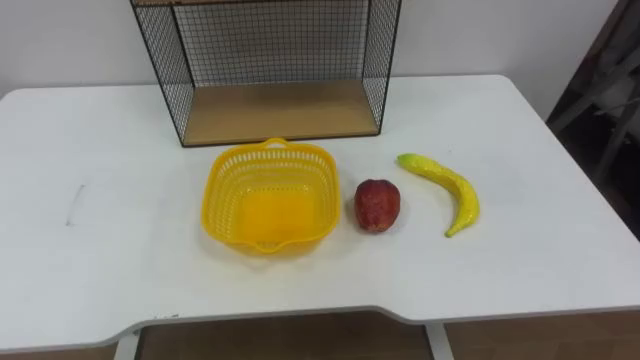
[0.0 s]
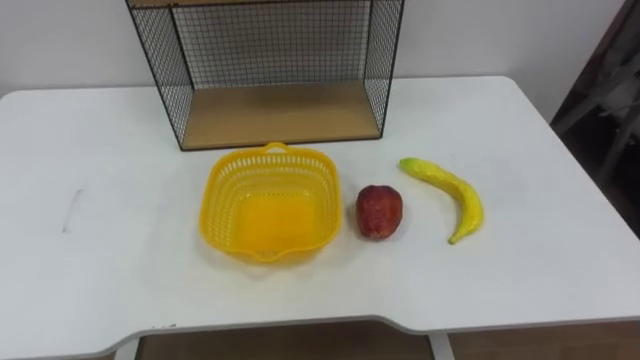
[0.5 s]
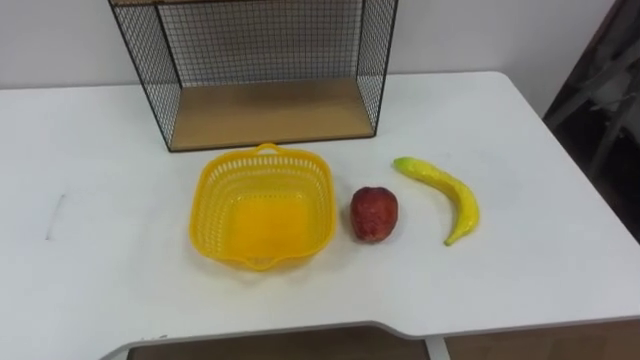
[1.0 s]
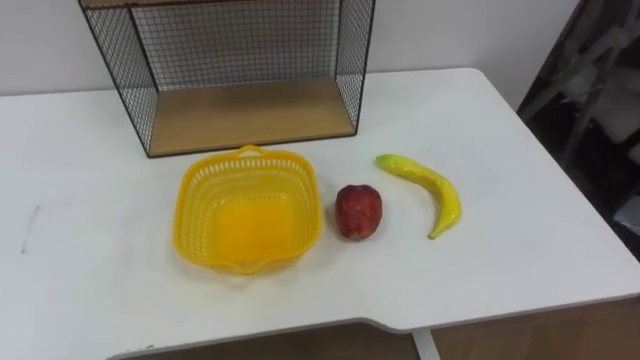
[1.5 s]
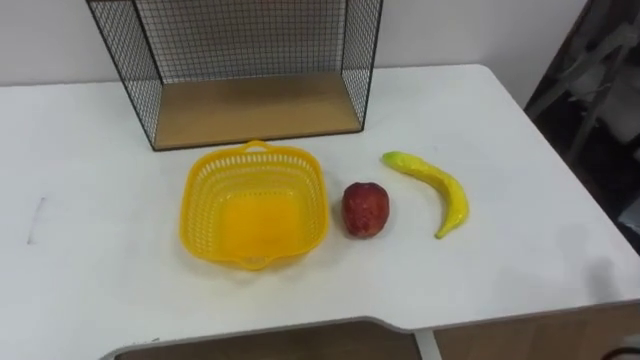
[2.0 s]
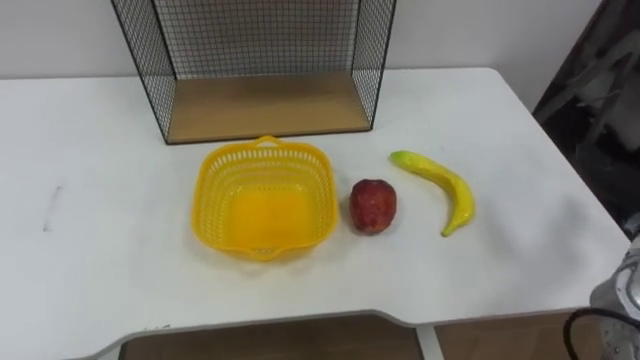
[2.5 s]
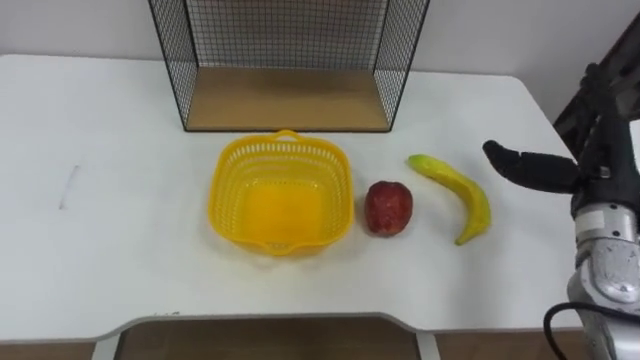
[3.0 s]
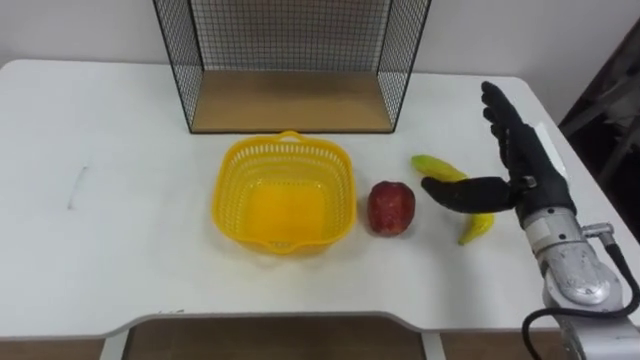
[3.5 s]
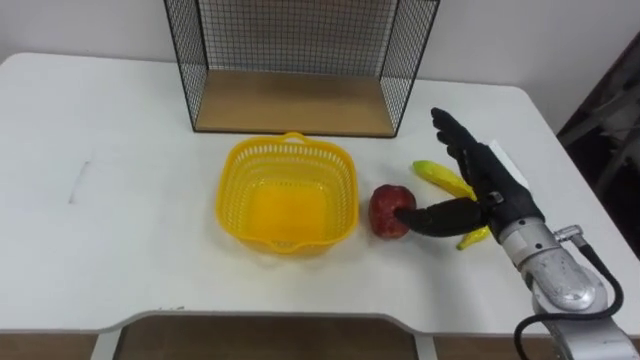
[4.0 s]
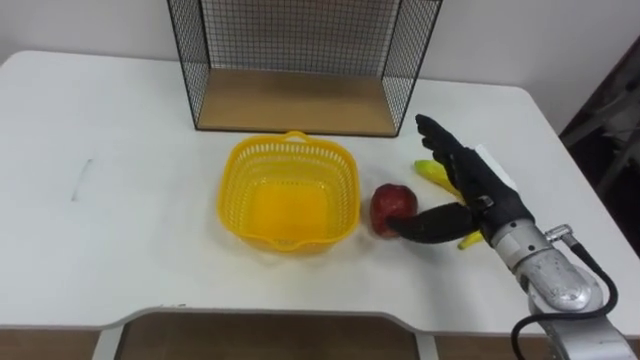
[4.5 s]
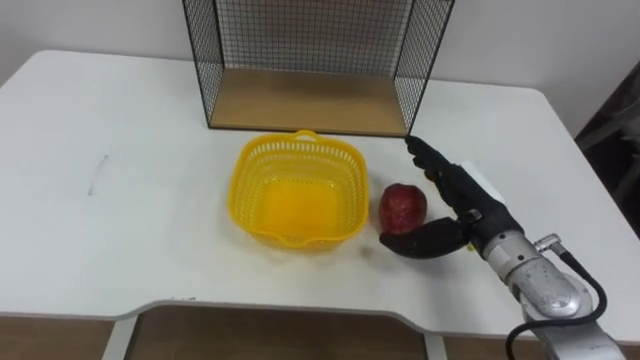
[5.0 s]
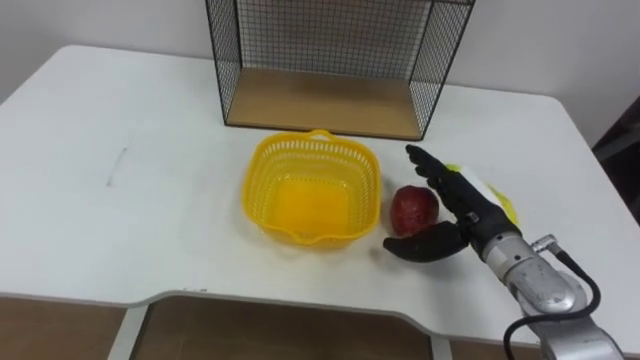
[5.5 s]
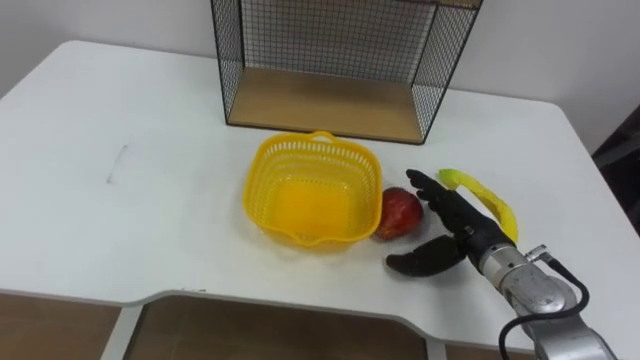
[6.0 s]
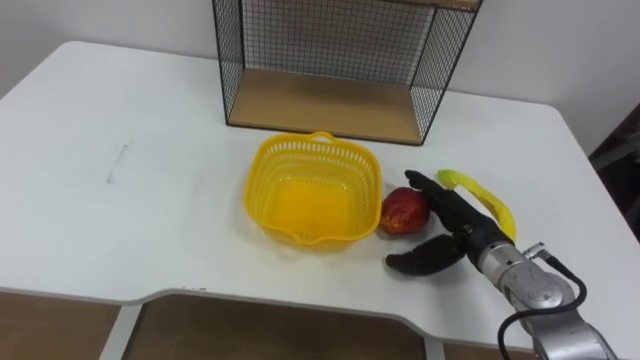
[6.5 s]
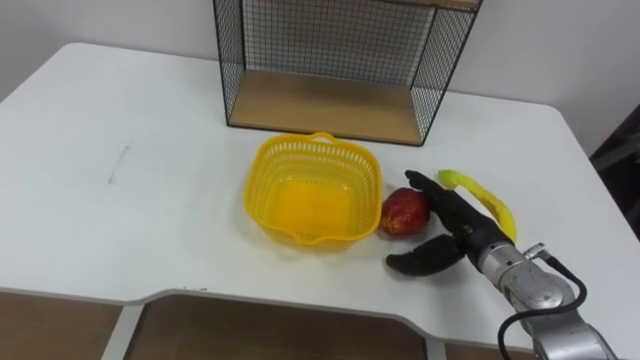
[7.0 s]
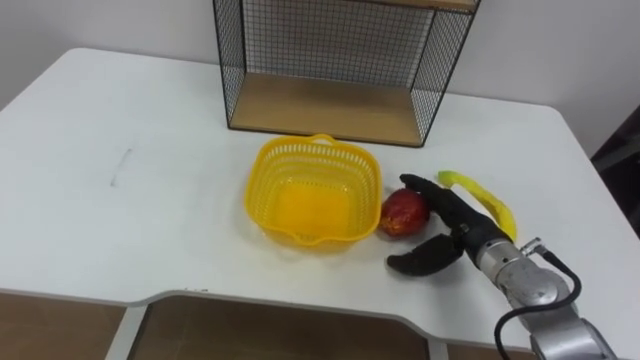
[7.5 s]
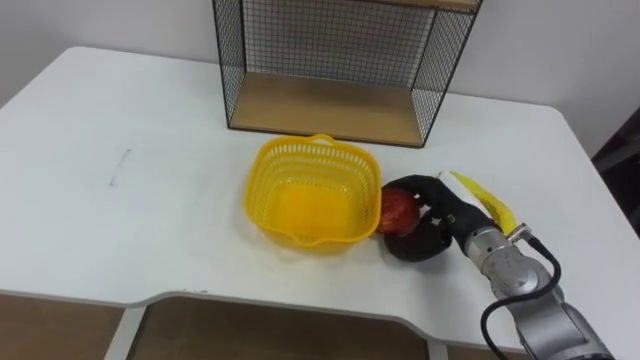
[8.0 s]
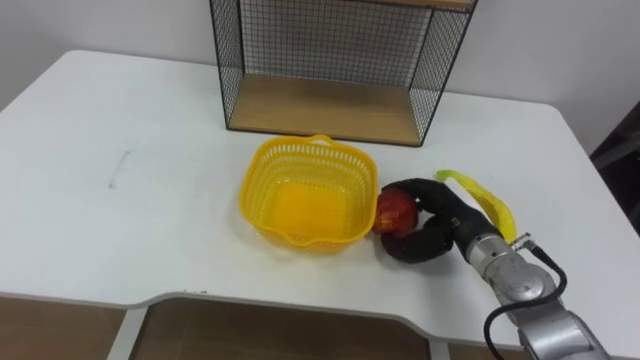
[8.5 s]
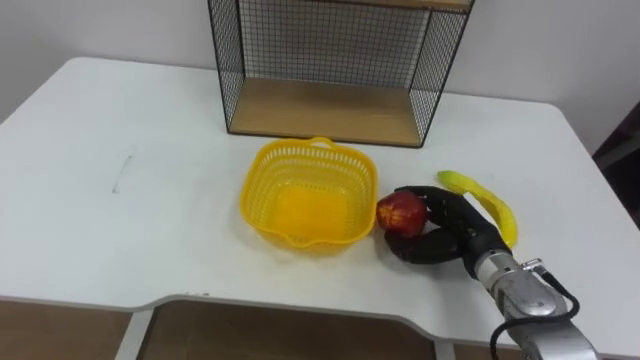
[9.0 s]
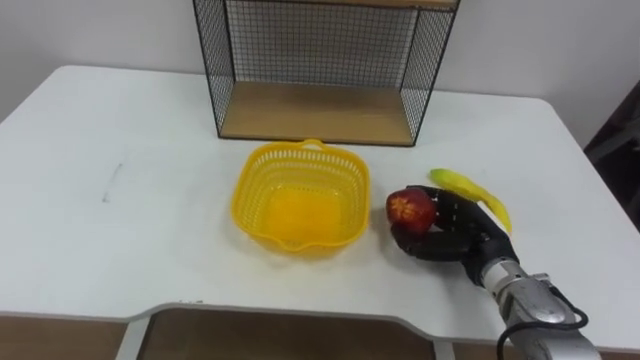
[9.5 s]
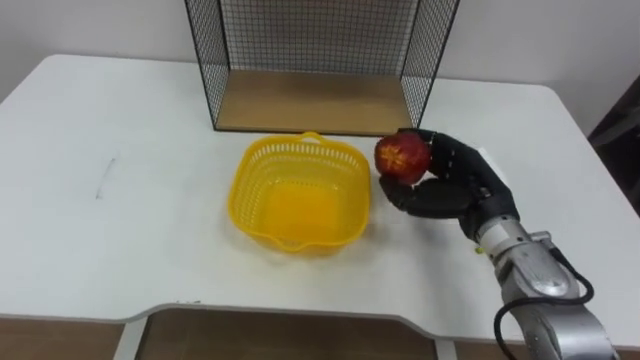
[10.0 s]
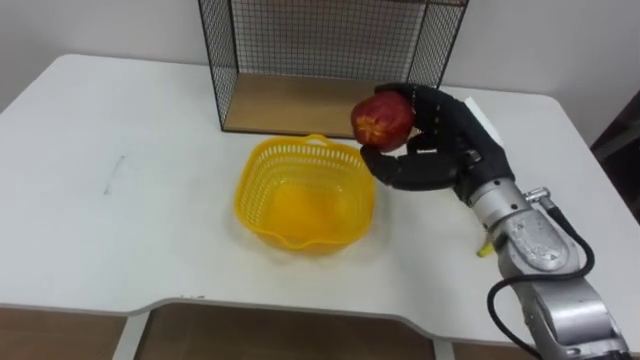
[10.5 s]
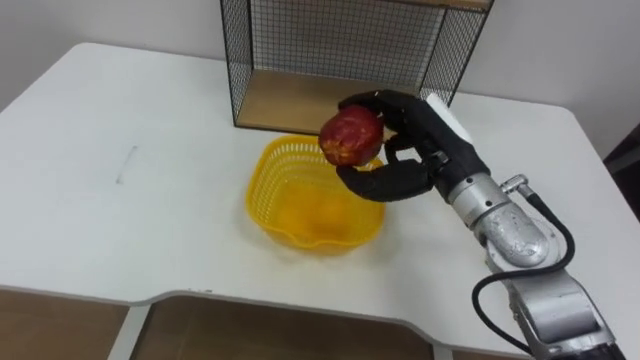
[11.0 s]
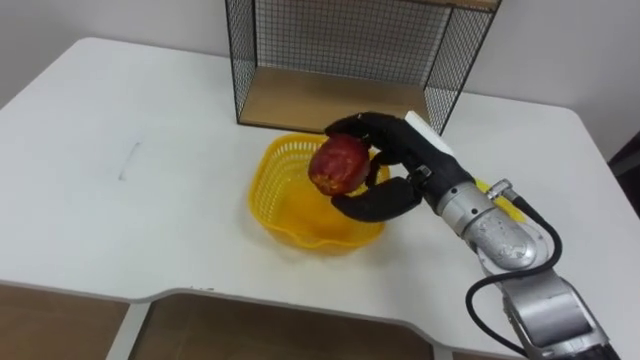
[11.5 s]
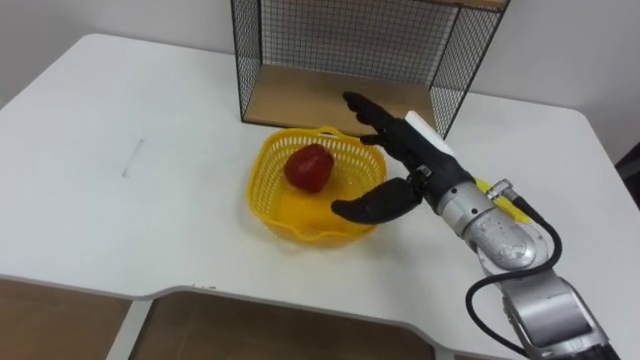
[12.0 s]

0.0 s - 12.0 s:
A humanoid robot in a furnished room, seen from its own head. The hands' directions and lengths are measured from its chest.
Task of the whole recording: Put the fruit on the table into the basket, then place the basket on the shelf.
4.0 s - 6.0 s: The right hand travels downward by about 5 cm.
6.0 s - 8.0 s: The right hand closes.
10.0 s - 12.0 s: The right hand goes about 10 cm to the left and upward, and opens.

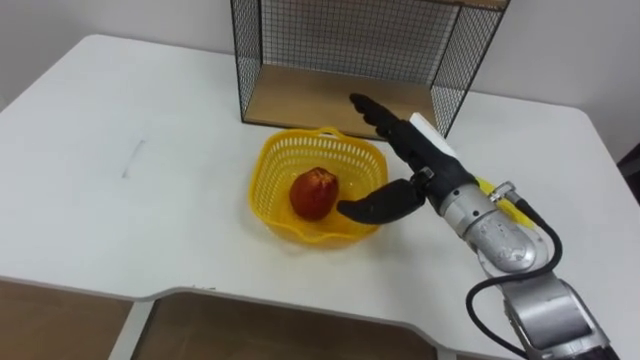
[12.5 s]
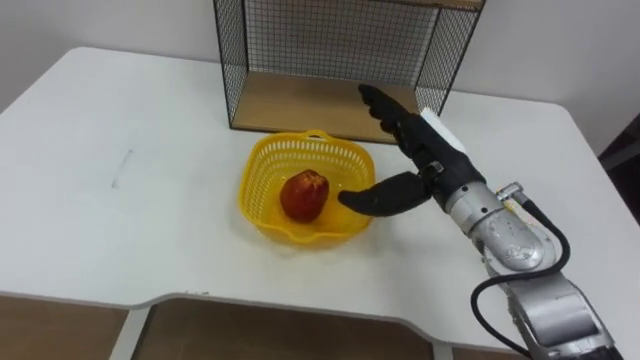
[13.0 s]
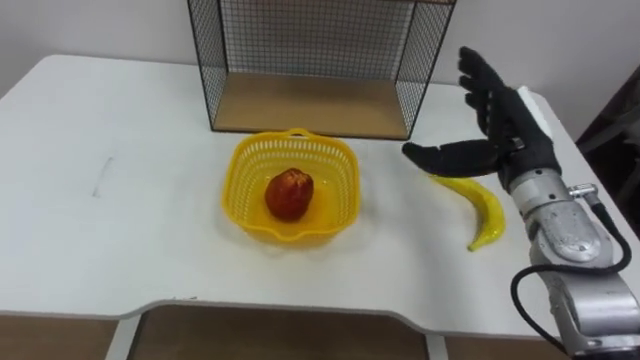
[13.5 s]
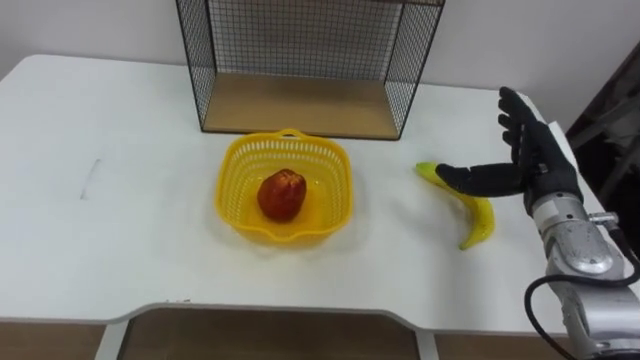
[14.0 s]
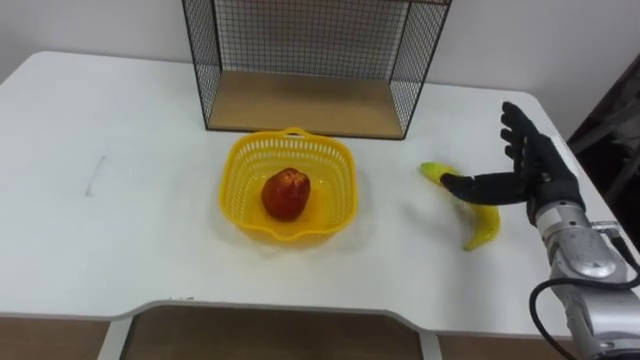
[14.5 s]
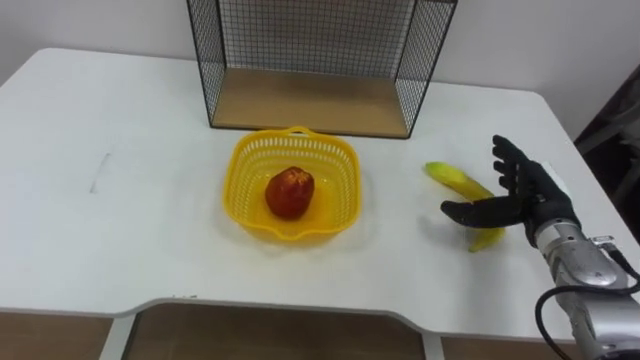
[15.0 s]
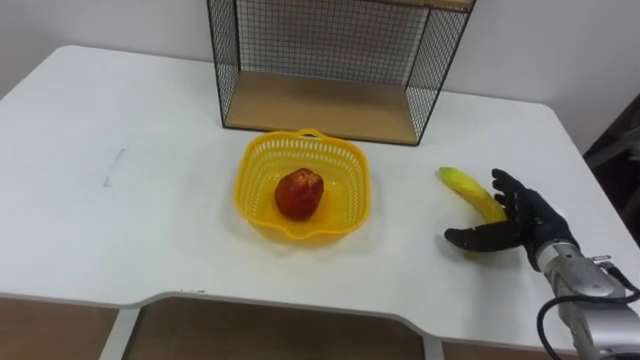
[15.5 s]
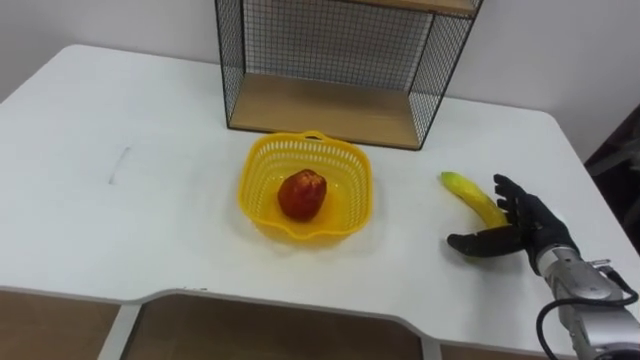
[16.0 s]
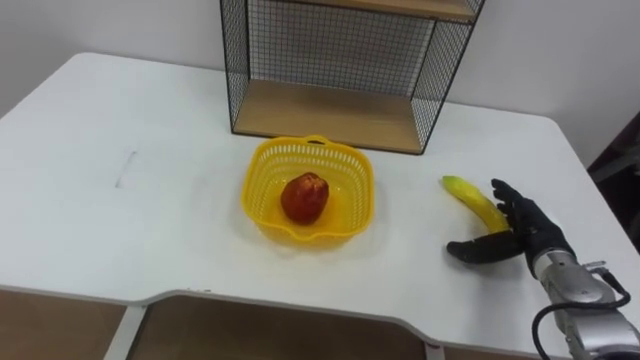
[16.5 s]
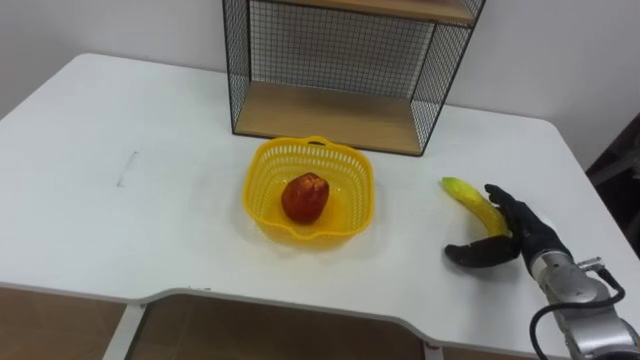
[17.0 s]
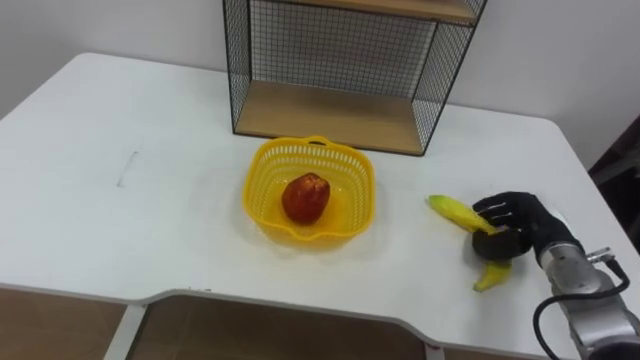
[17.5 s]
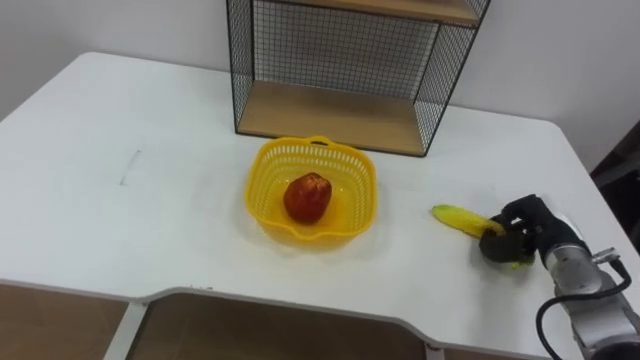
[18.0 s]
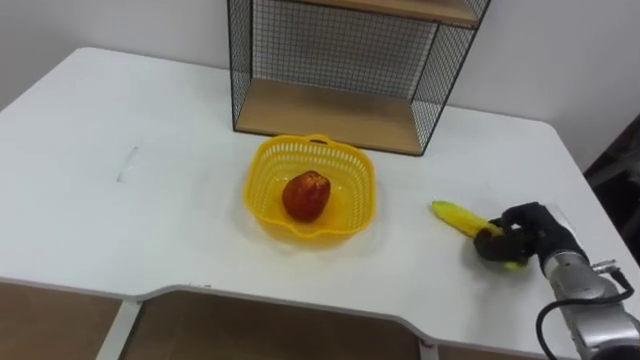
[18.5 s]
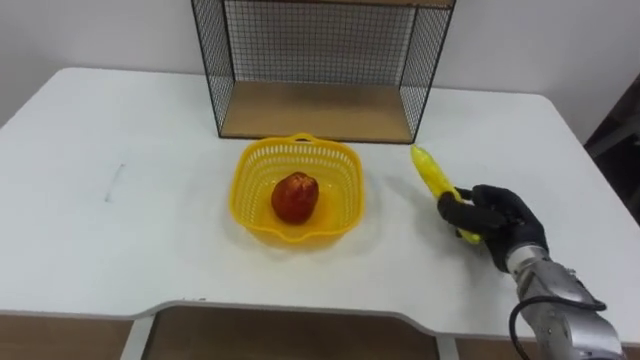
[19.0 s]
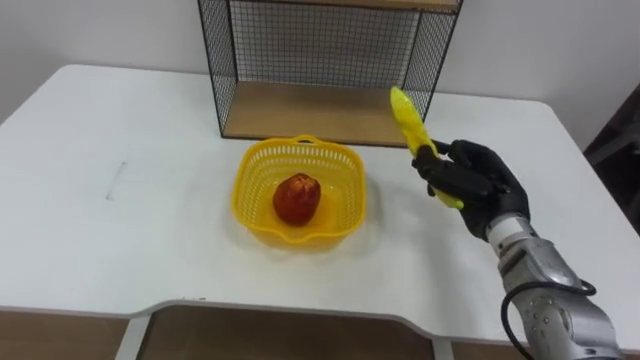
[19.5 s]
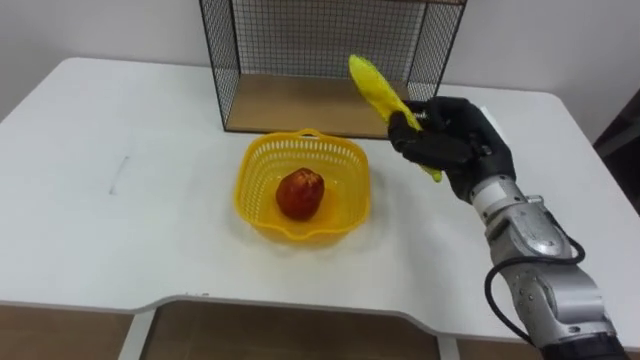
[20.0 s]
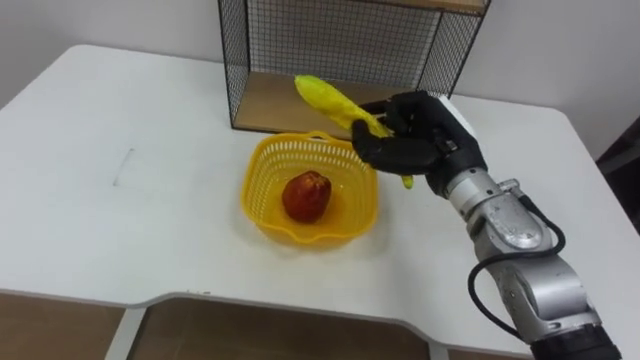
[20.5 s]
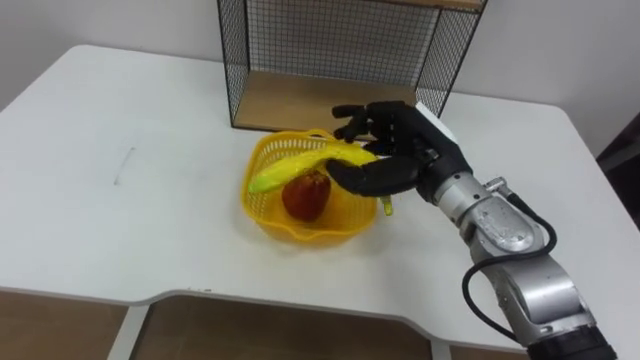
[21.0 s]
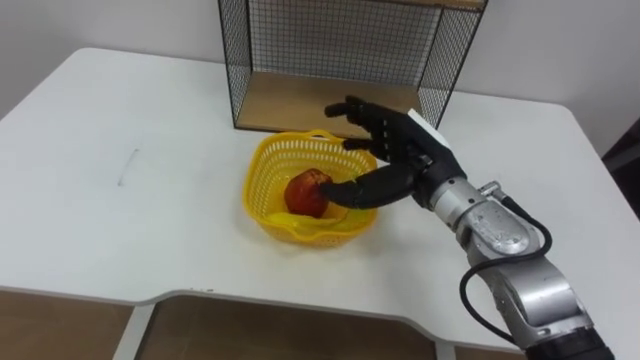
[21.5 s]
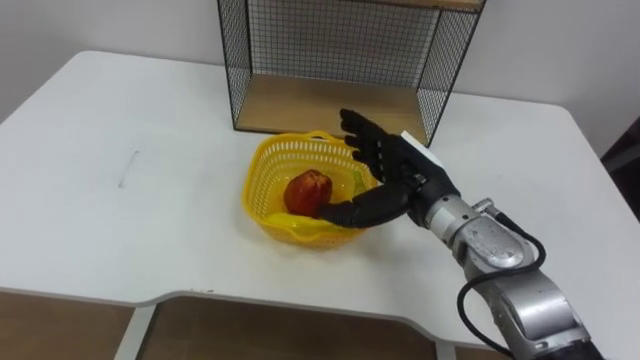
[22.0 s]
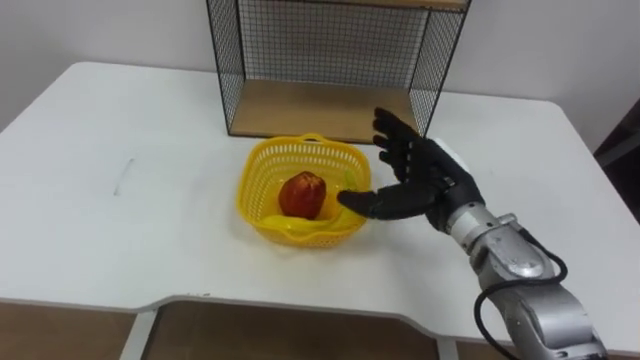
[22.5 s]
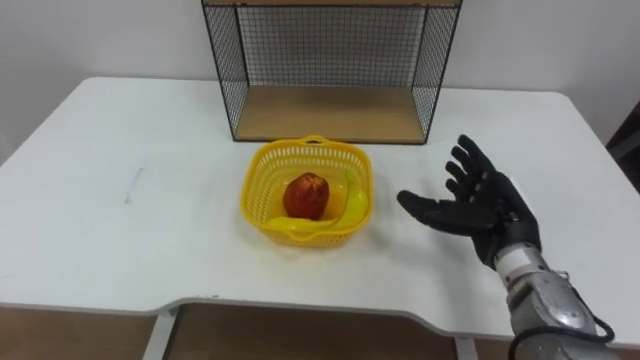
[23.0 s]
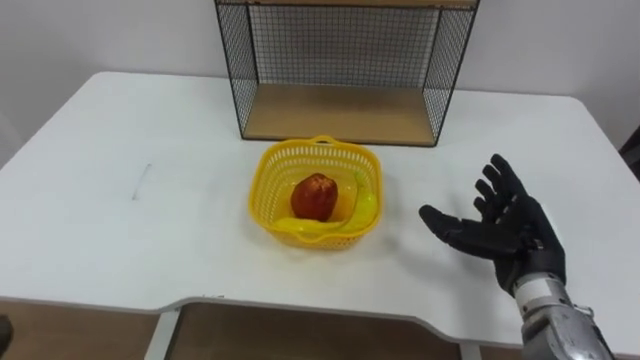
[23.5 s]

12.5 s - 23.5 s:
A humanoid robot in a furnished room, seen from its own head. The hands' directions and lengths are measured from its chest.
Task of the whole recording: Put the fruit on the table into the basket, then place the basket on the shelf.
12.5 s - 14.5 s: The right hand moves to the right, about 15 cm.
14.5 s - 16.0 s: The right hand travels downward by about 10 cm.
16.0 s - 18.0 s: The right hand closes.
18.0 s - 20.0 s: The right hand heads to the left and upward, covering approximately 20 cm.
20.0 s - 21.5 s: The right hand moves to the left, approximately 5 cm, and opens its fingers.
21.5 s - 23.5 s: The right hand is displaced to the right, backward and downward by about 15 cm.
